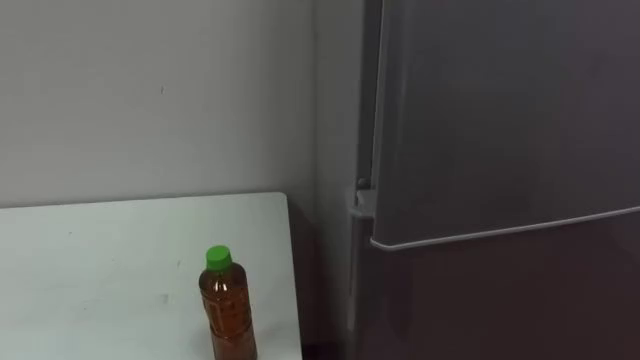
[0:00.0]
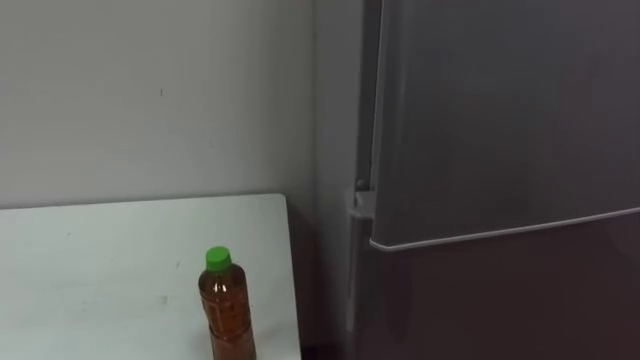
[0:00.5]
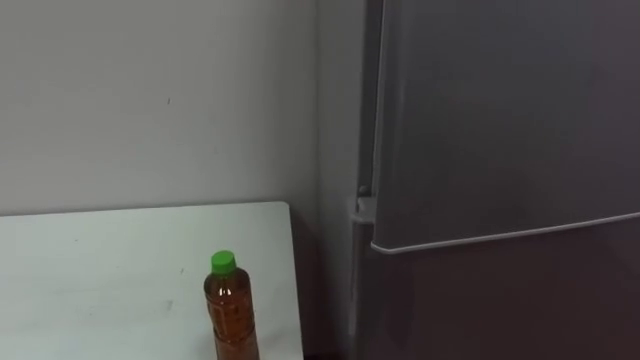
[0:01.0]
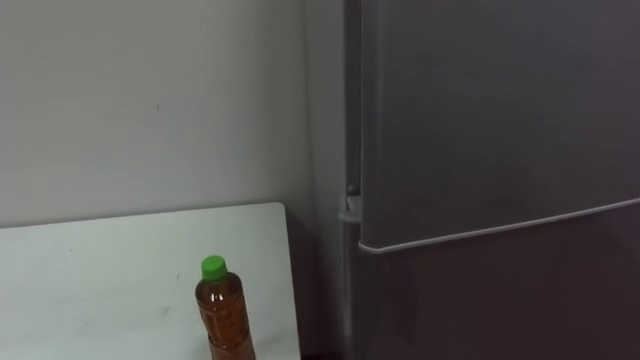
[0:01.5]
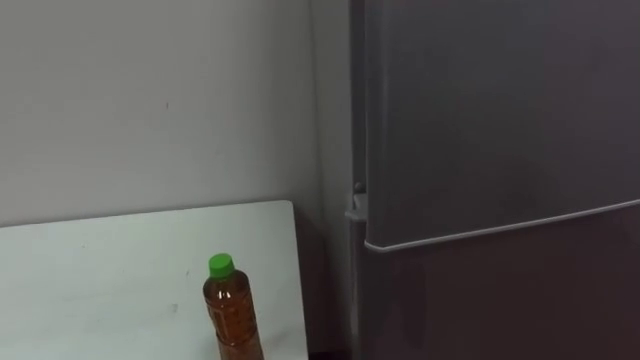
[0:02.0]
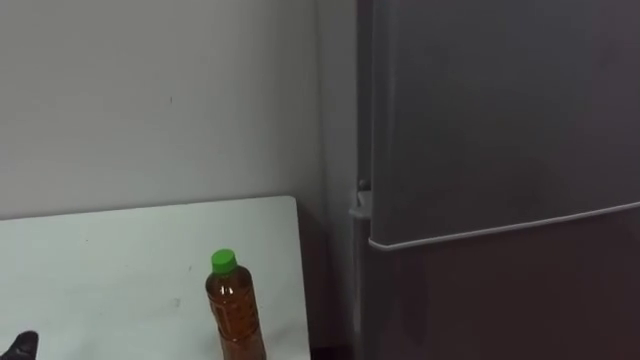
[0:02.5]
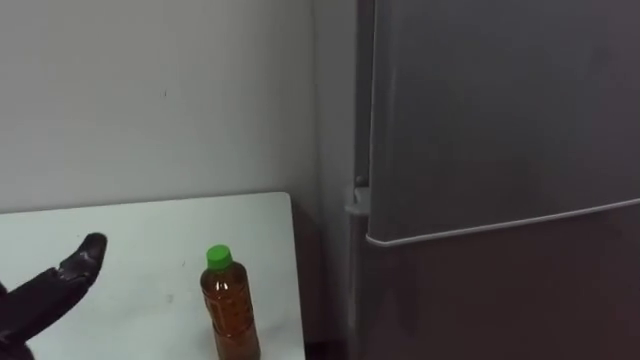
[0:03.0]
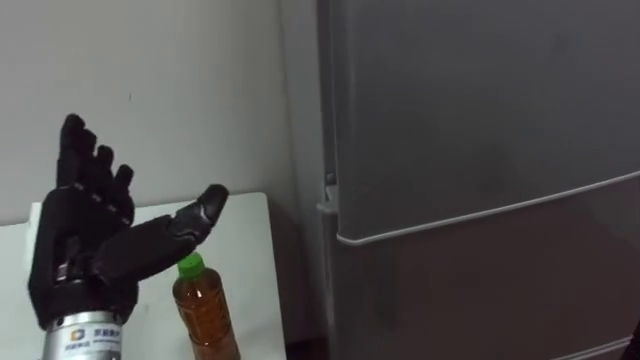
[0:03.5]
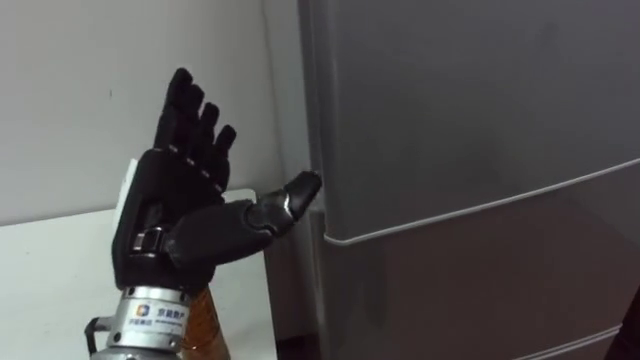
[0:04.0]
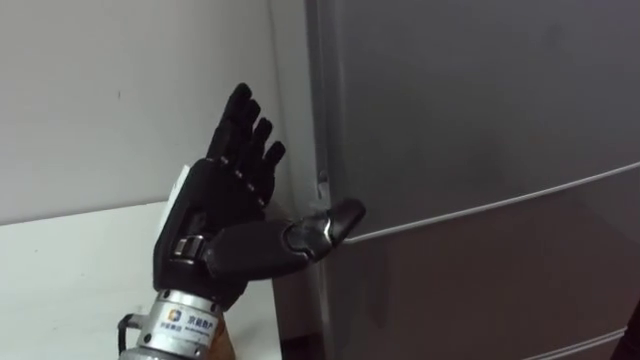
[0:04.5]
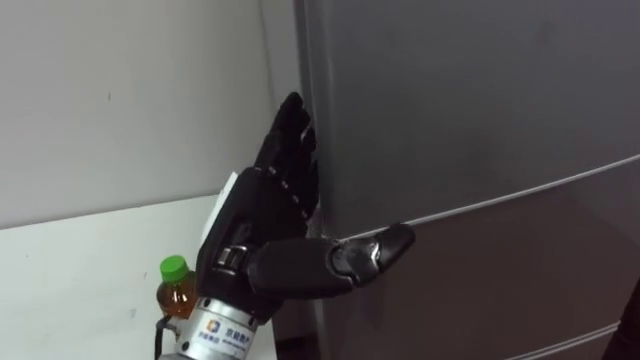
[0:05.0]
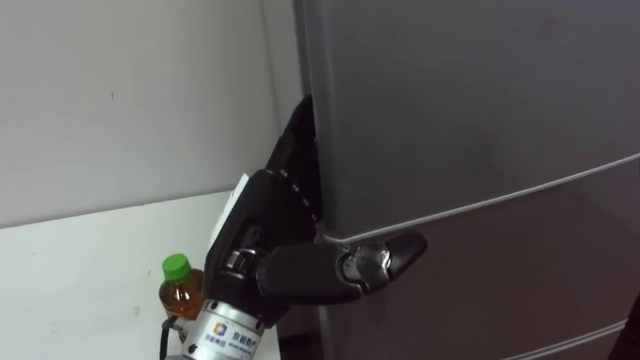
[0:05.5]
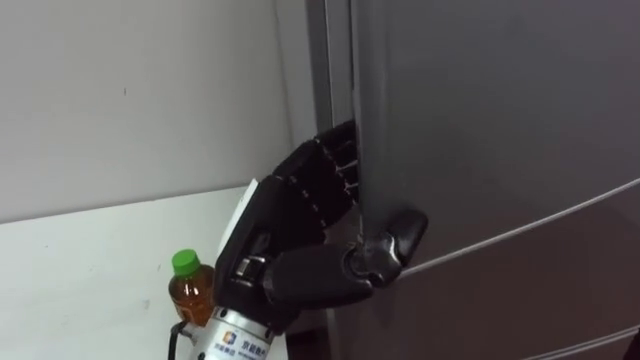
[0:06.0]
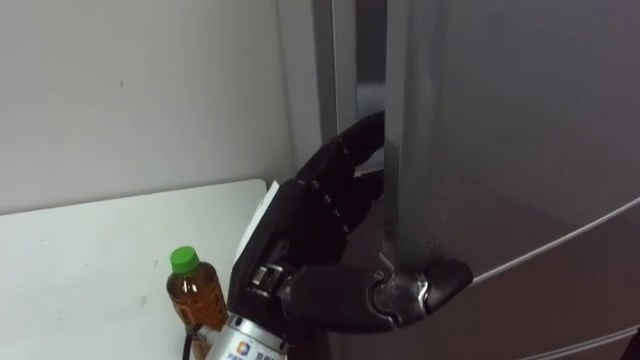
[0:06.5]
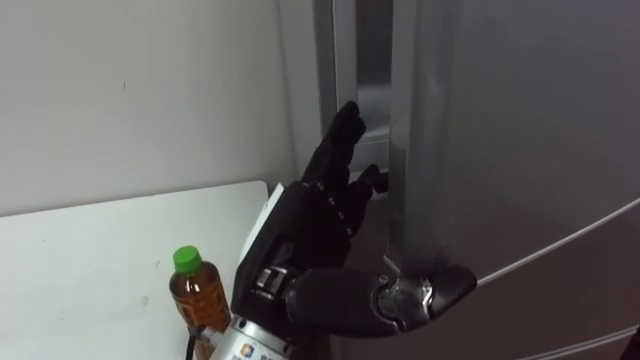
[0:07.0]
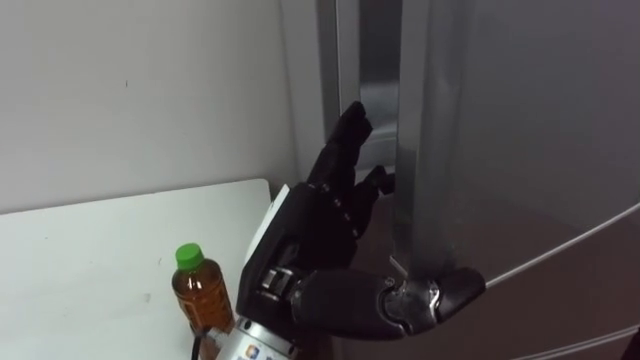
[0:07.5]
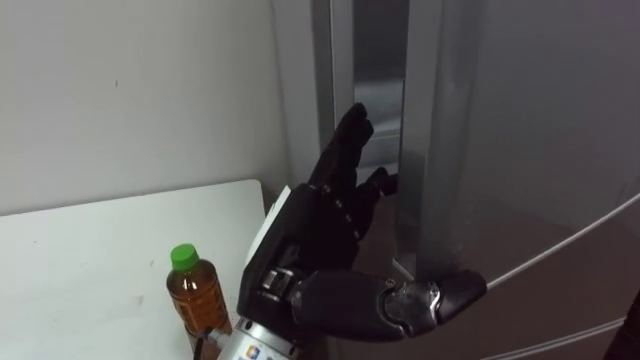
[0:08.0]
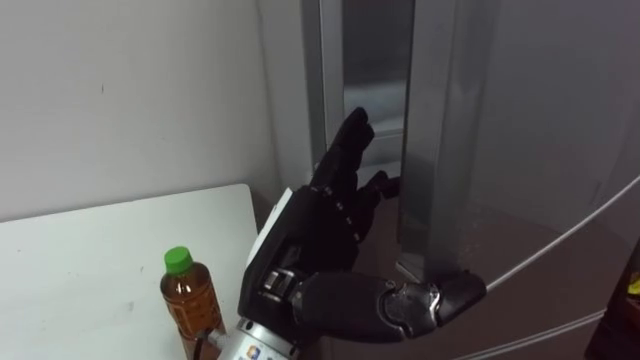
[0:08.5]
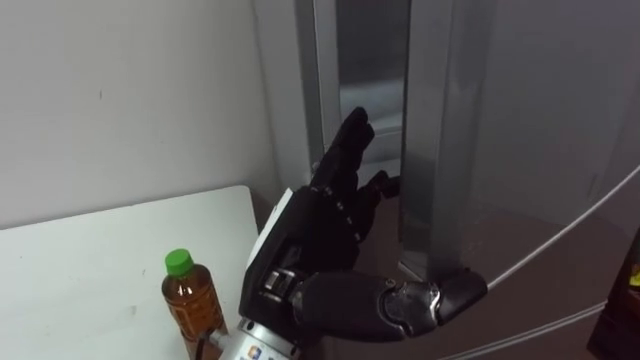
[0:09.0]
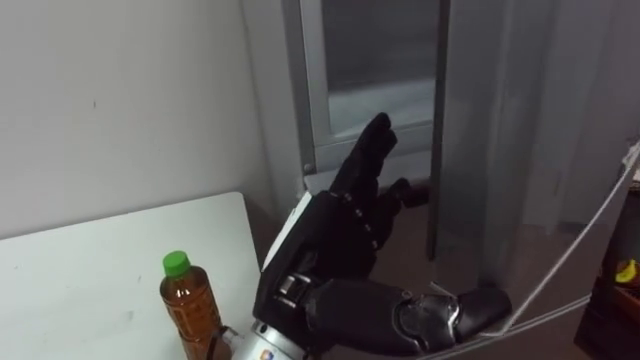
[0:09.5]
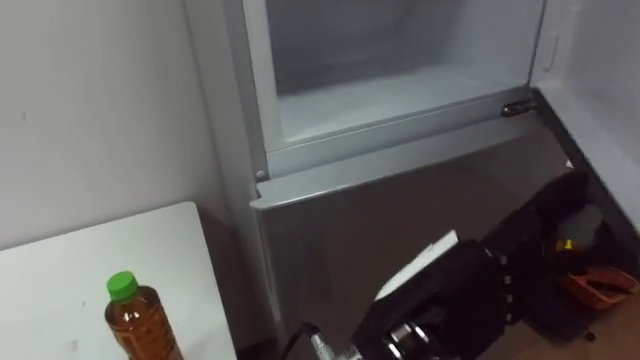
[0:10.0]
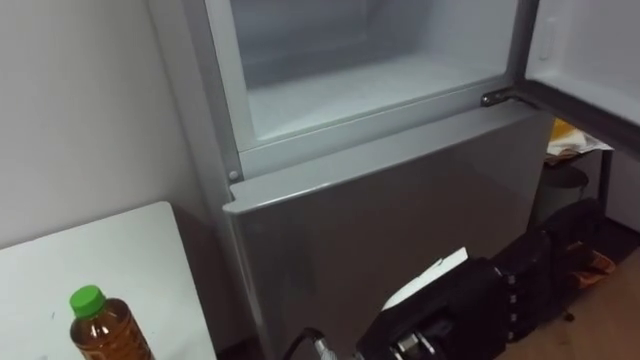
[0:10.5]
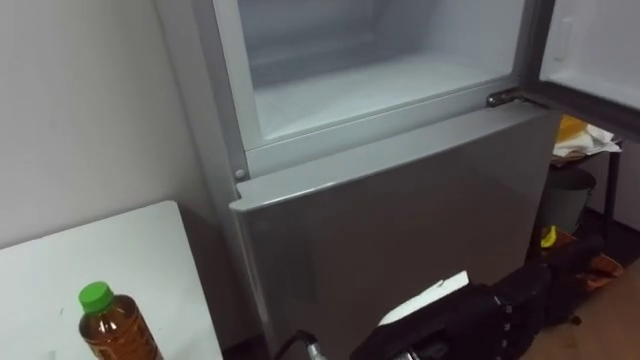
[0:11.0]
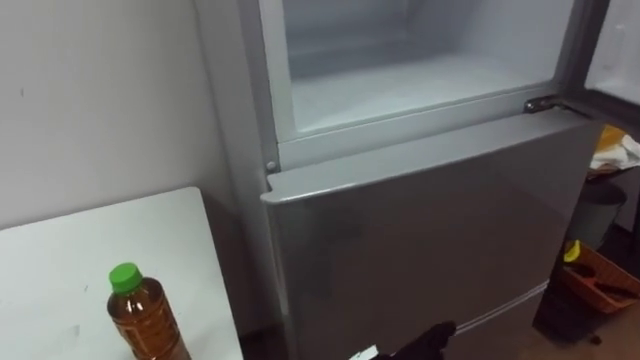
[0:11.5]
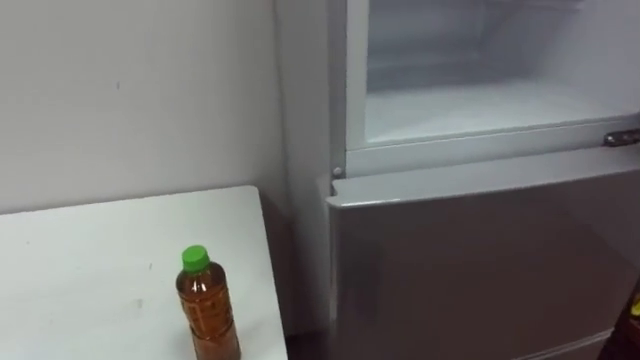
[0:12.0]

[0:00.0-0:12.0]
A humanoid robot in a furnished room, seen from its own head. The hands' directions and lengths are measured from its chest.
Task of the whole recording: Open the upper refrigerator door, put the drink from the table into the refrigerator, and then close the refrigerator door.
0:04.0 to 0:06.0: The left hand heads to the right, covering some 10 cm, and closes its fingers.
0:06.0 to 0:08.0: The left hand opens its fingers.
0:08.0 to 0:10.0: The left hand is displaced to the right by some 10 cm.

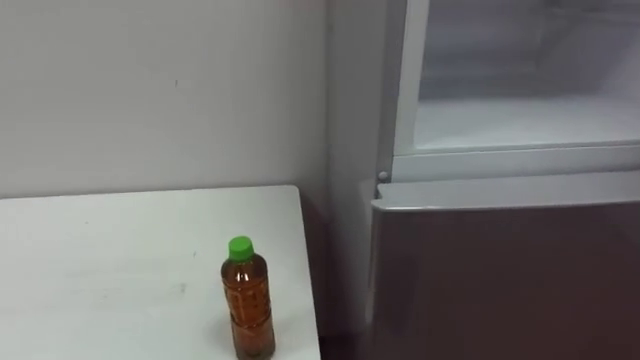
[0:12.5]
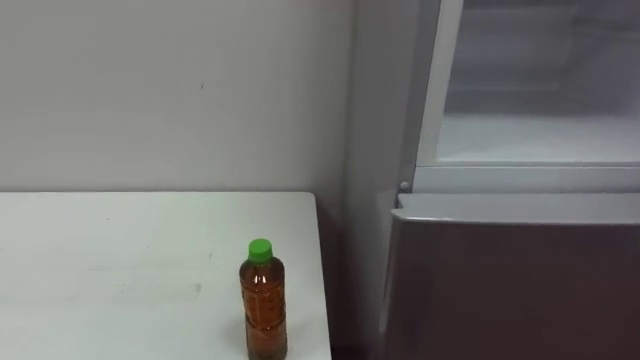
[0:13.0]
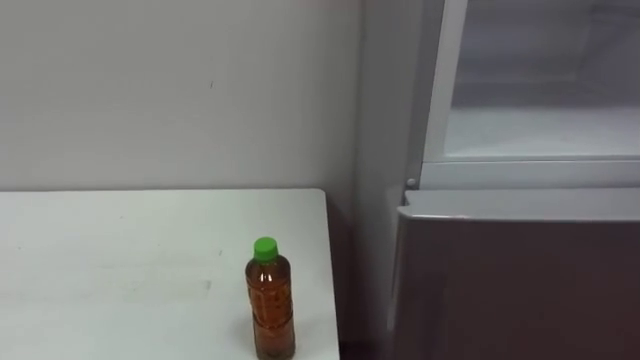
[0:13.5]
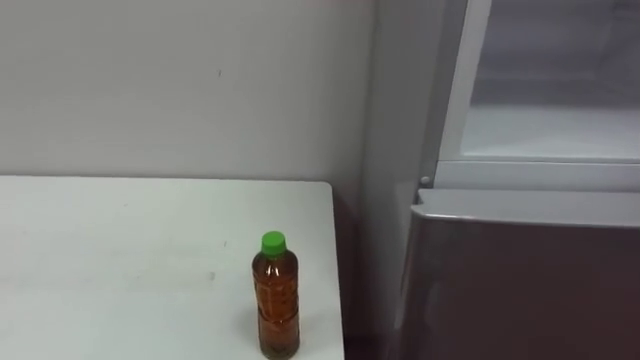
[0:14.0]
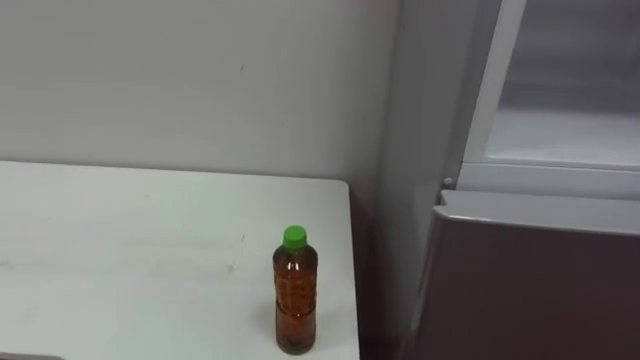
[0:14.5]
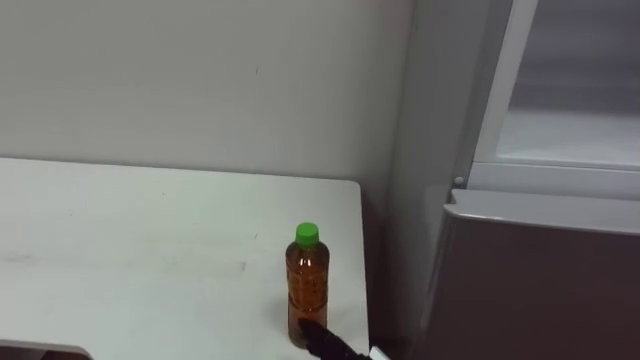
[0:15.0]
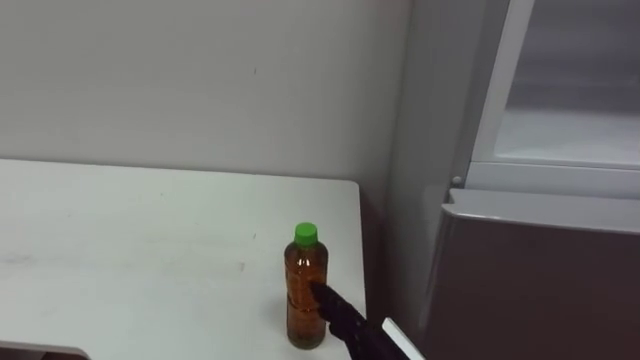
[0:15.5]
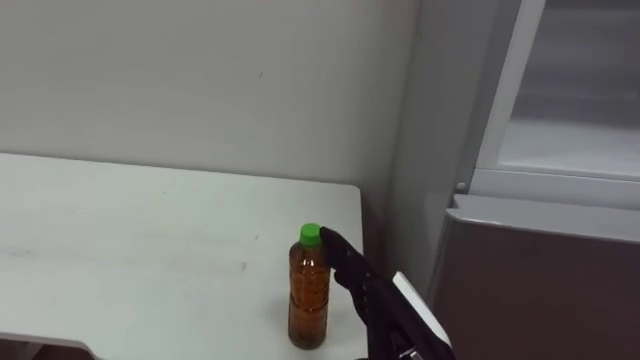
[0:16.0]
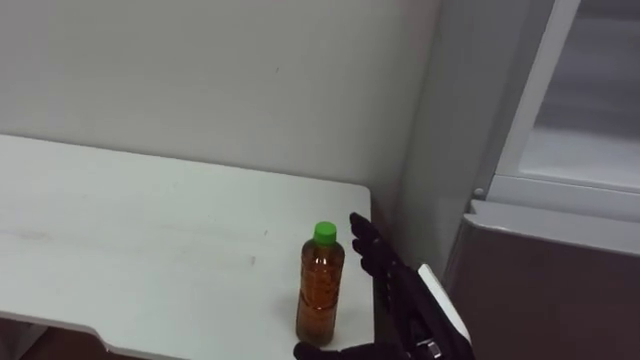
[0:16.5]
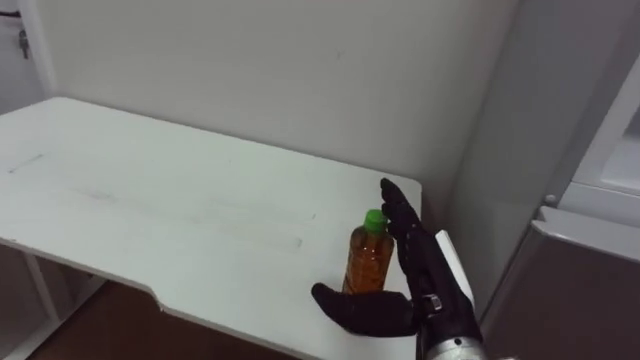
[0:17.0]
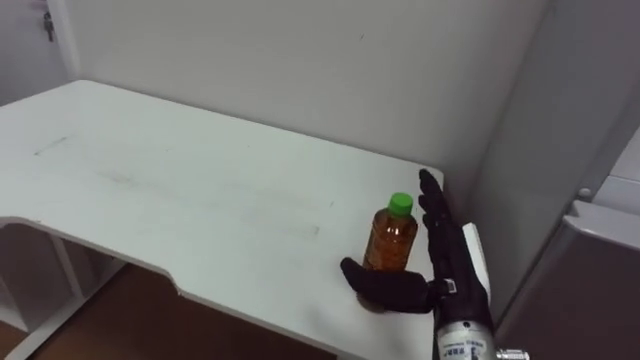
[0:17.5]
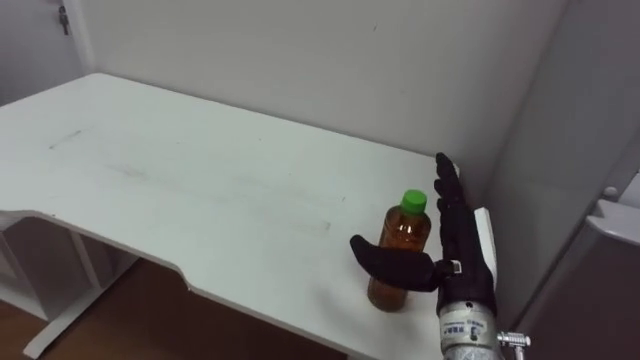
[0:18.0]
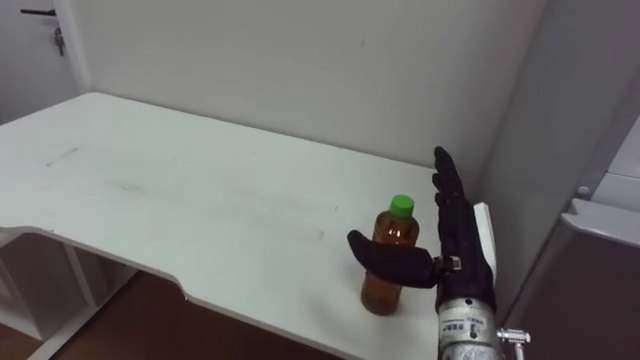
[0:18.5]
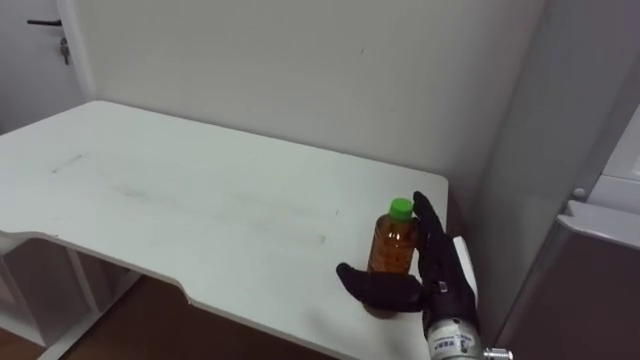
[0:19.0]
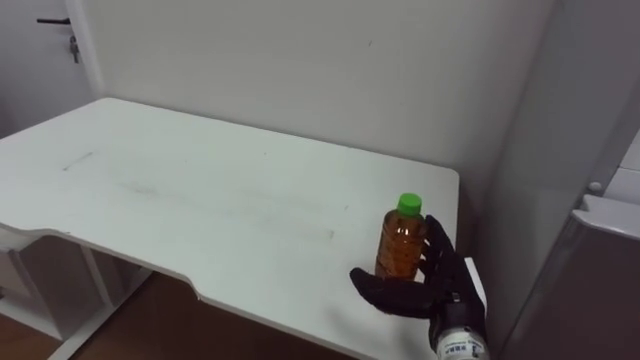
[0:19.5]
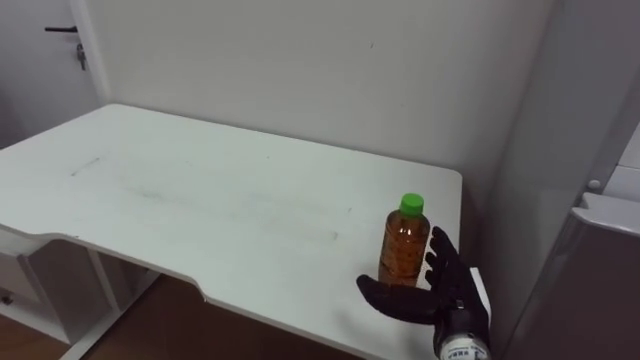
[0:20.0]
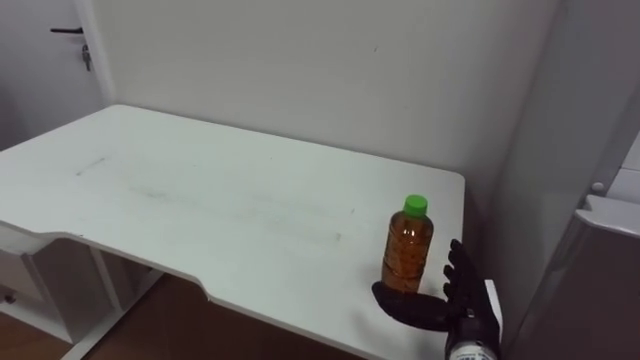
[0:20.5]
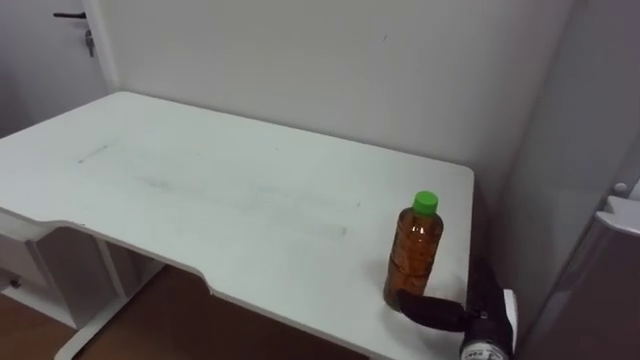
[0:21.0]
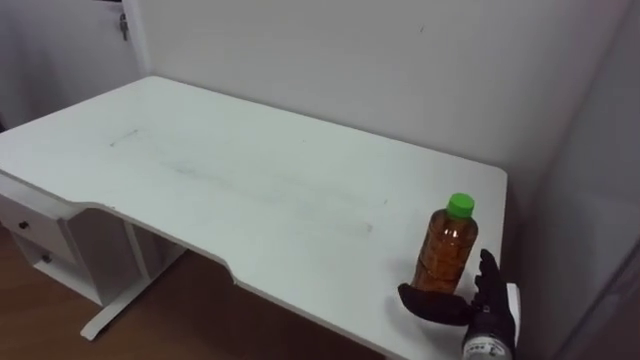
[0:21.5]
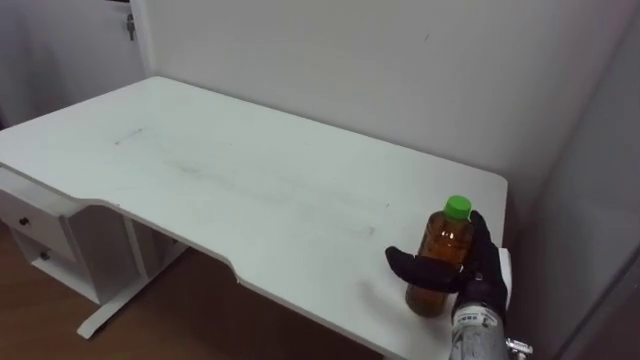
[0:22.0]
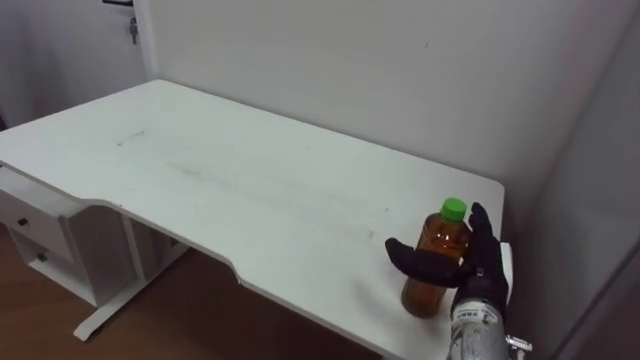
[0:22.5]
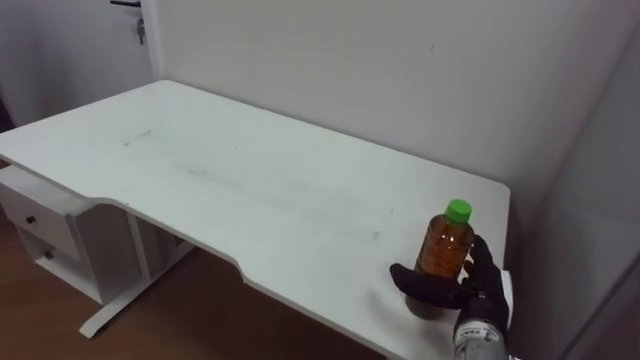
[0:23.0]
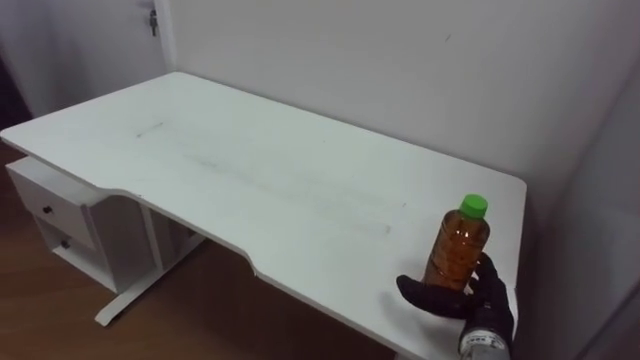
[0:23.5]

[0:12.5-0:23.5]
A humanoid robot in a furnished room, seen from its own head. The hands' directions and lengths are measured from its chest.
Task of the whole recording: Open the upper refrigerator door, put the drink from the table into the refrigerator, and then close the refrigerator door.
0:16.0 to 0:18.0: The right hand shifts roughly 10 cm forward and to the right.
0:18.0 to 0:20.0: The right hand shifts roughly 10 cm downward.
0:20.0 to 0:21.5: The right hand ends up roughly 5 cm from where it was.
